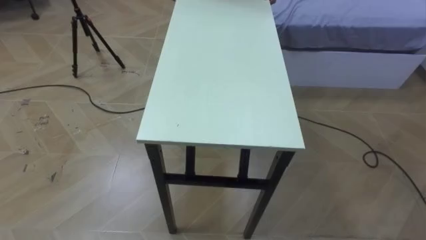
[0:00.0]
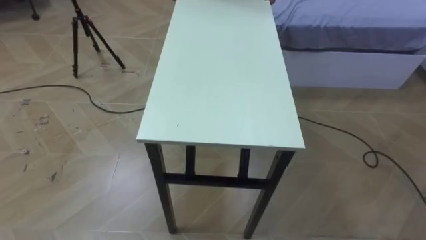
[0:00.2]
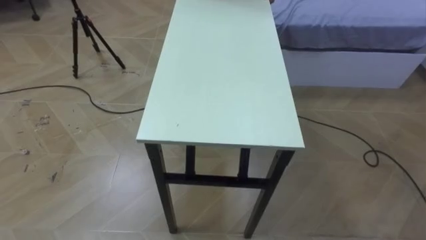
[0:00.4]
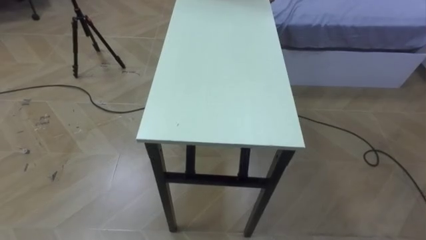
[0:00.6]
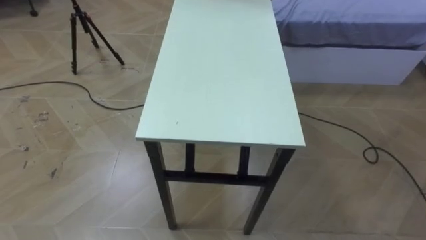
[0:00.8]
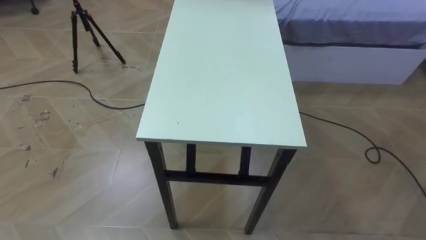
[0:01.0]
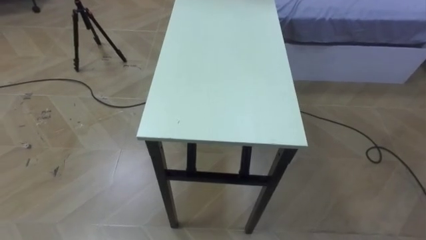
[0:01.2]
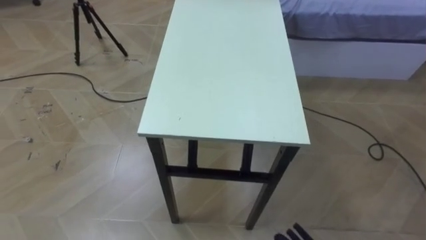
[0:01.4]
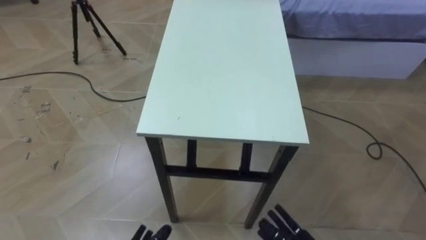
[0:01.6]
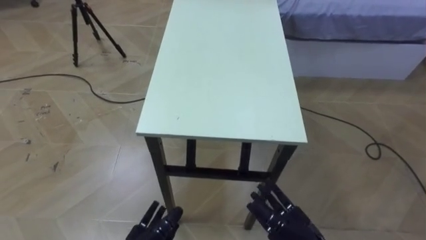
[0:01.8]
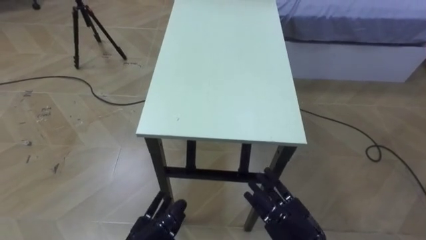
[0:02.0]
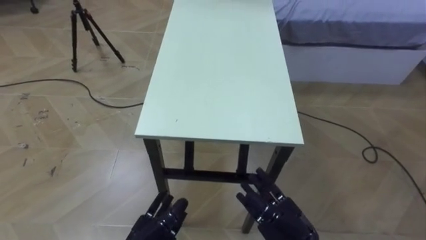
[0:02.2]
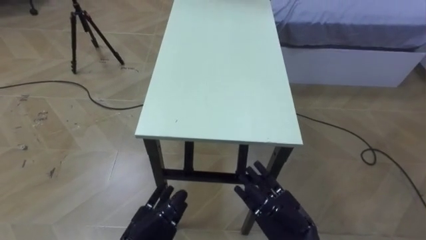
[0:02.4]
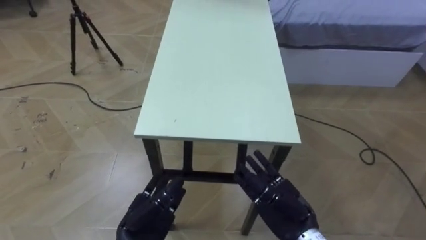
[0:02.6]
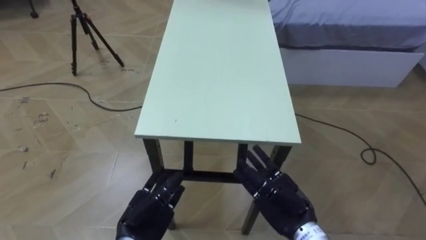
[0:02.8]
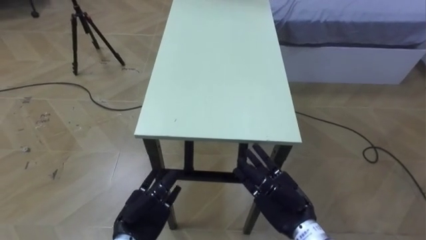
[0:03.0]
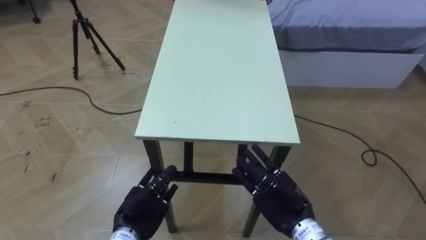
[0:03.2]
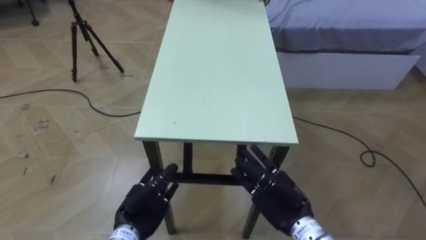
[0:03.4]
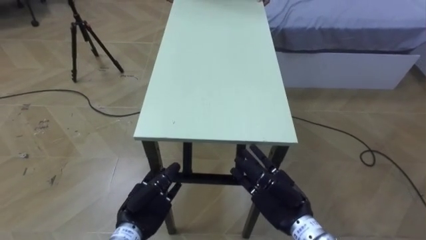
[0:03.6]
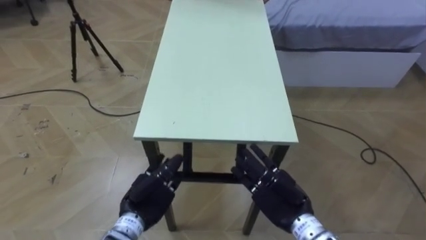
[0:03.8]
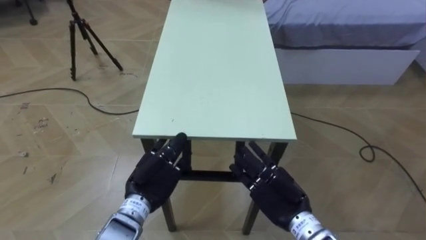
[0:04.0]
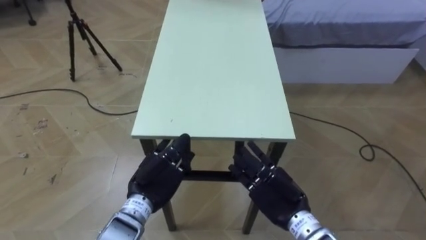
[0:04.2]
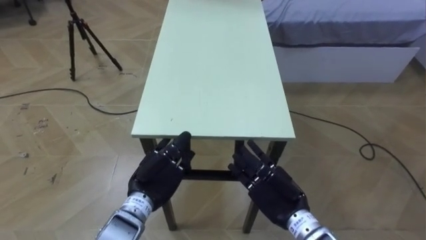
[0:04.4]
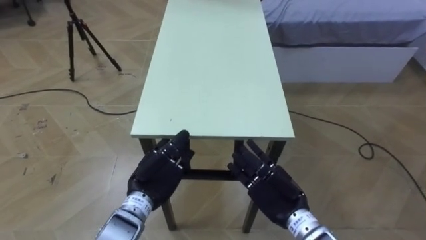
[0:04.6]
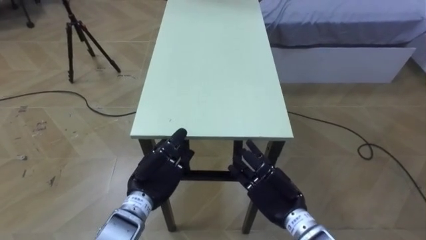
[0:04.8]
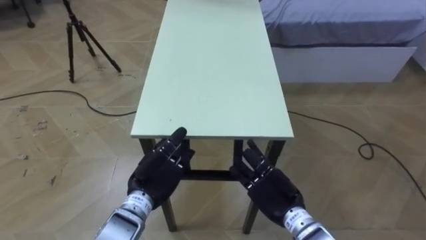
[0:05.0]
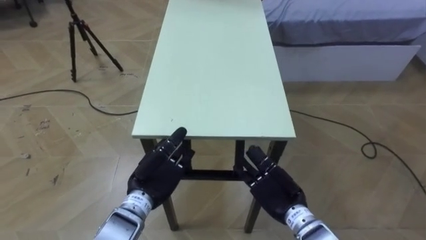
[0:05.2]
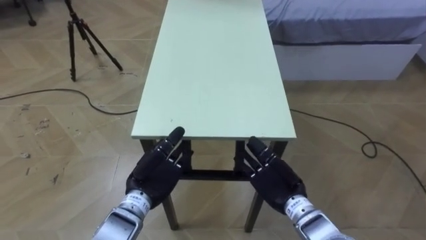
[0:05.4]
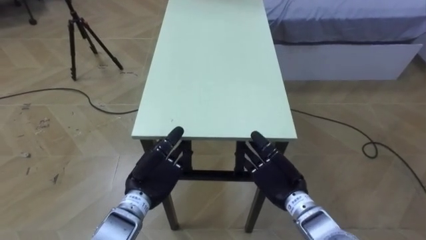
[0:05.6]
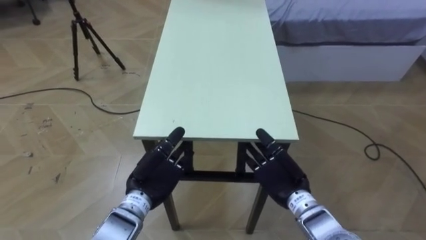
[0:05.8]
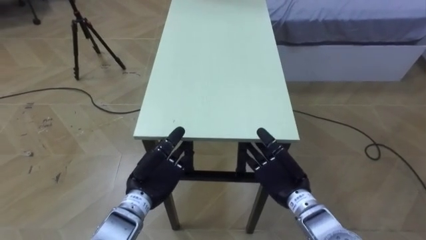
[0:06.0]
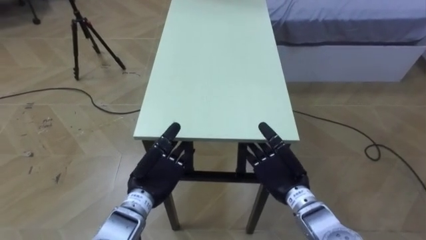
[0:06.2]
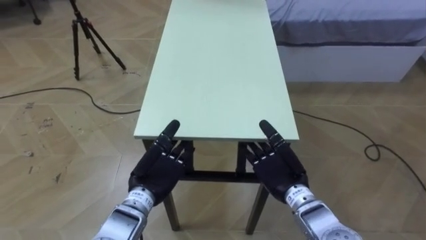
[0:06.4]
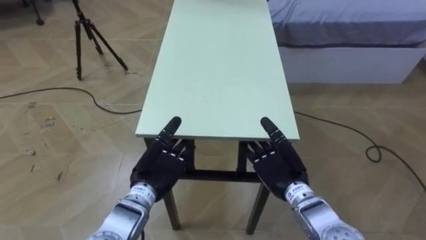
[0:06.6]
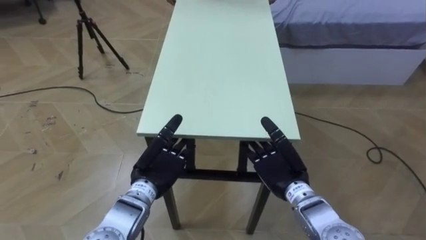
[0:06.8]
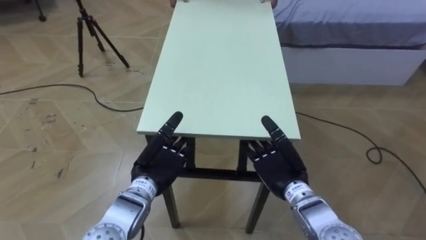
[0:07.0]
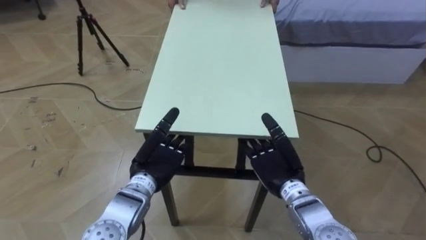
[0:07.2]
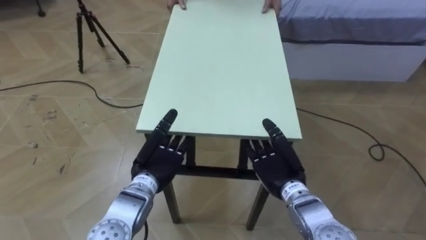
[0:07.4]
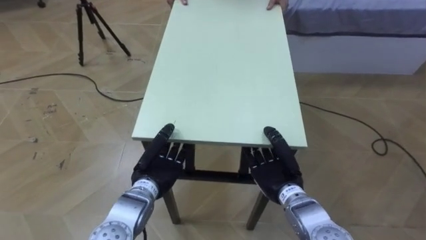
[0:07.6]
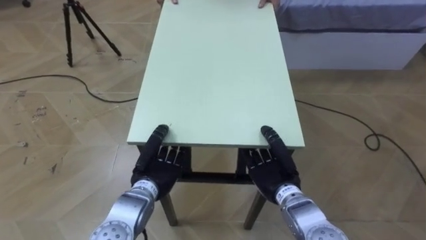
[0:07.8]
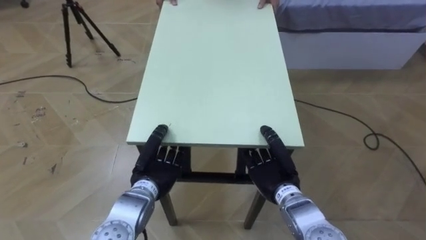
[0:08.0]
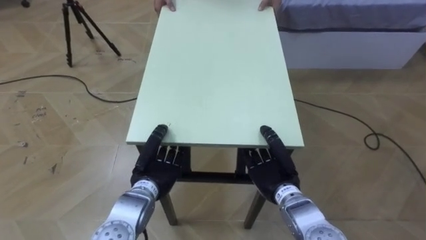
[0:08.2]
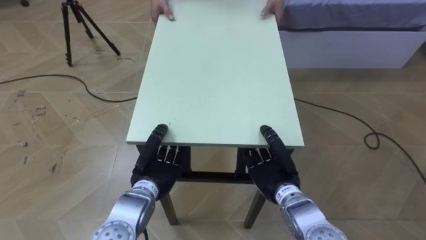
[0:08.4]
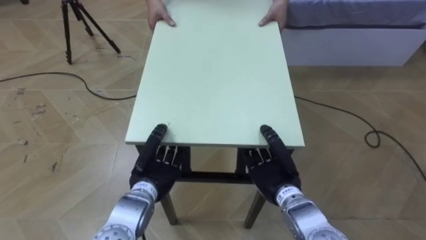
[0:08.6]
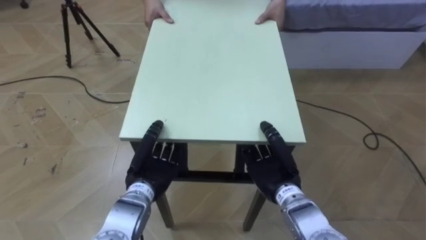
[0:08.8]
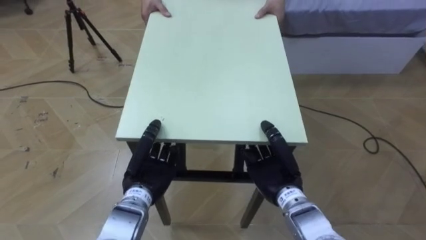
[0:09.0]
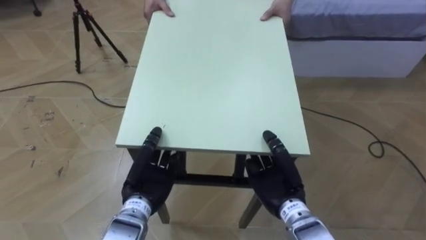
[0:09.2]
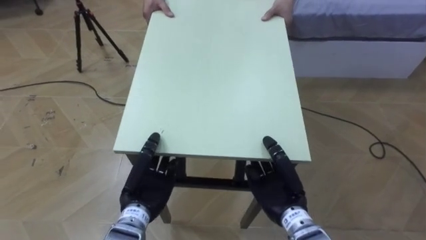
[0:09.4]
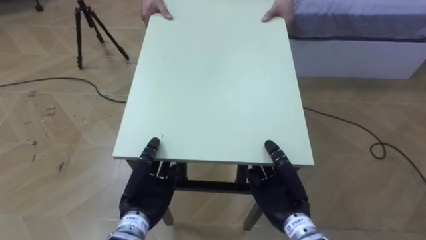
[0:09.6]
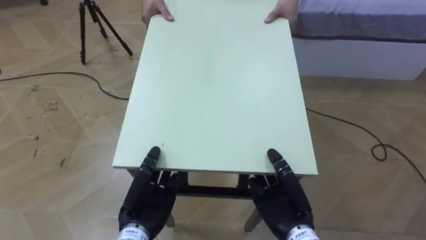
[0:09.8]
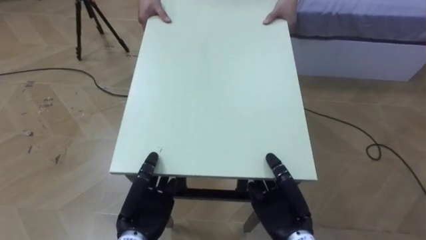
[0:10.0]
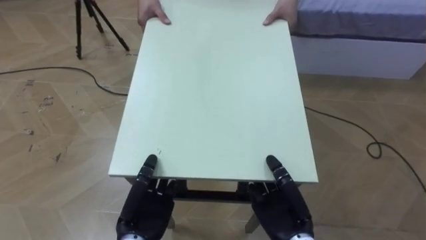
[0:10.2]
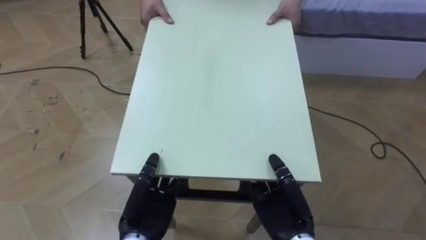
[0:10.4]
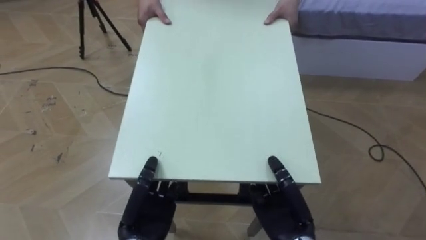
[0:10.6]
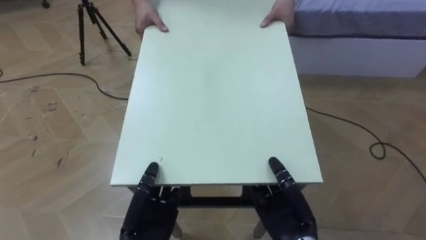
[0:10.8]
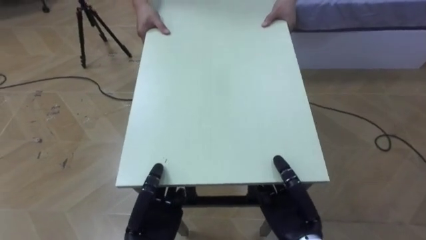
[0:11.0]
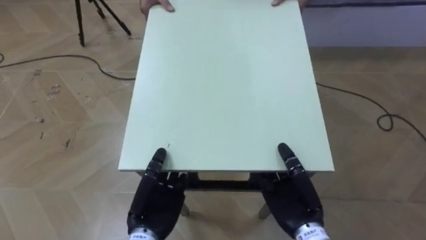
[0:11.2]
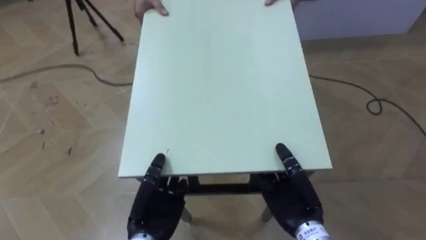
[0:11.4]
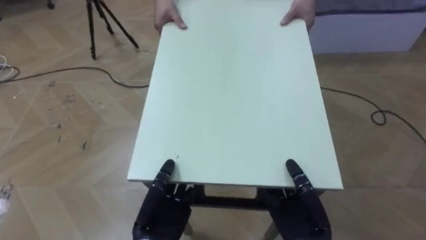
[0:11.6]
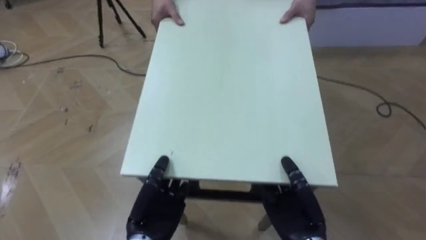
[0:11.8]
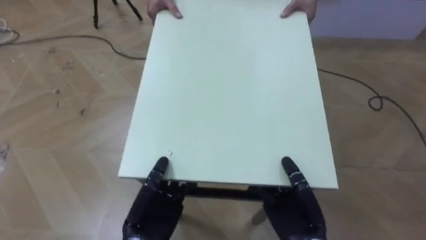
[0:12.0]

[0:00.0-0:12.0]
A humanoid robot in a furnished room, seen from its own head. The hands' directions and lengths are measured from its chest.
Task of the whole recording: Move the table to the back left with someone.
0:03.0 to 0:04.4: The left hand moves forward, approximately 5 cm.
0:04.4 to 0:06.0: There are only small adjustments of the hands.
0:06.0 to 0:07.6: The right hand closes its fingers. The left hand closes.
0:07.6 to 0:09.0: The hands stay close to where they were, moving slightly.
0:09.0 to 0:10.4: Both hands travel together backward, approximately 5 cm.

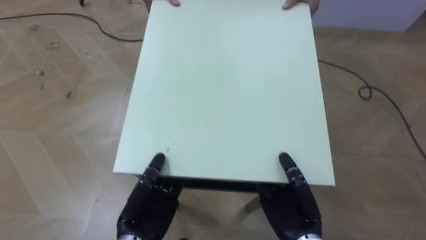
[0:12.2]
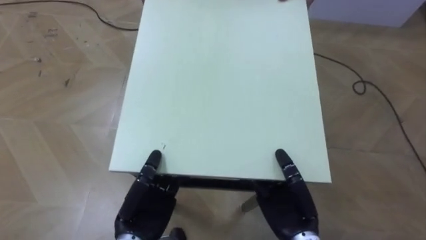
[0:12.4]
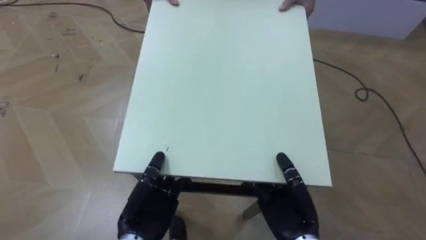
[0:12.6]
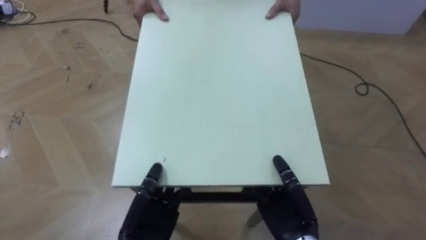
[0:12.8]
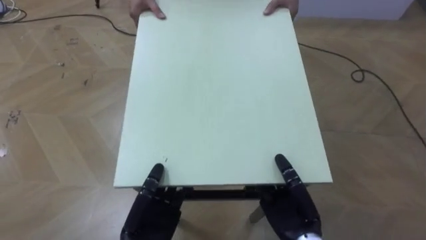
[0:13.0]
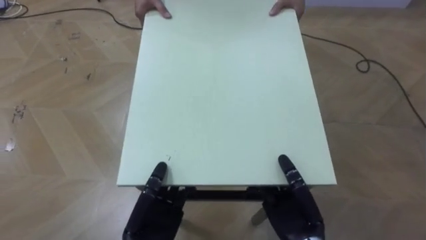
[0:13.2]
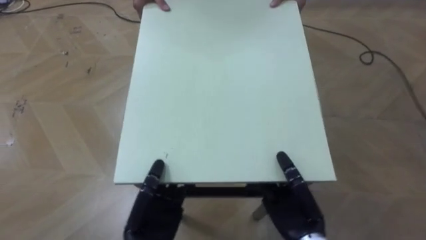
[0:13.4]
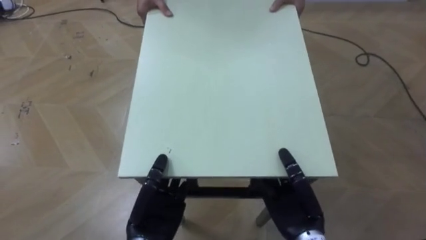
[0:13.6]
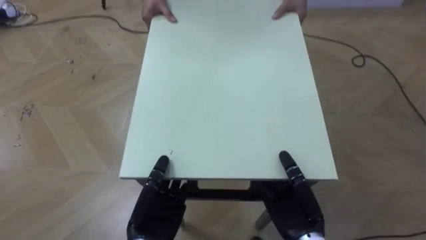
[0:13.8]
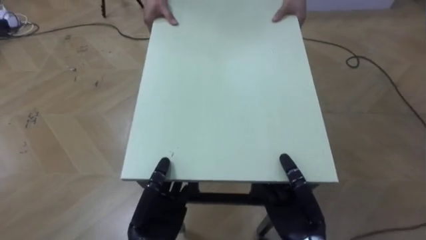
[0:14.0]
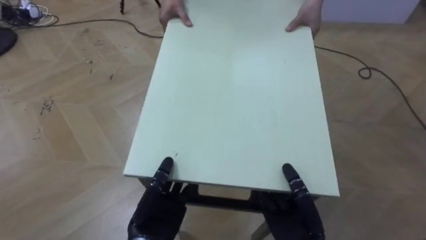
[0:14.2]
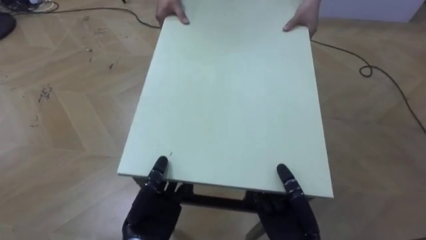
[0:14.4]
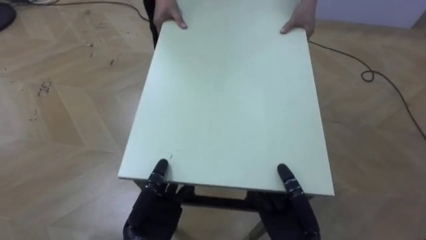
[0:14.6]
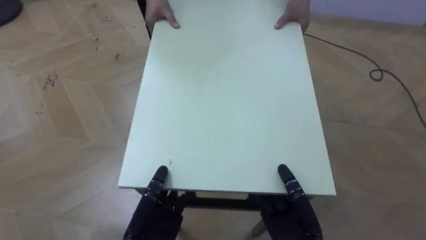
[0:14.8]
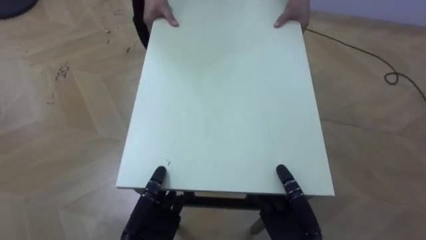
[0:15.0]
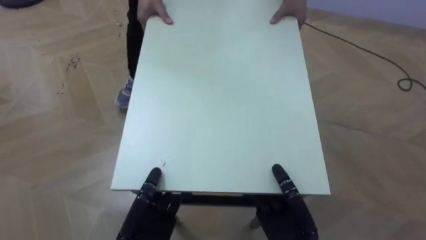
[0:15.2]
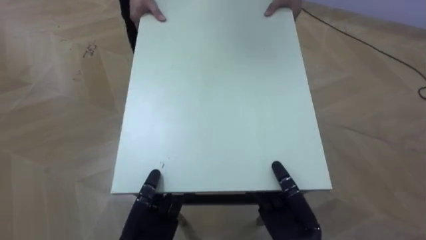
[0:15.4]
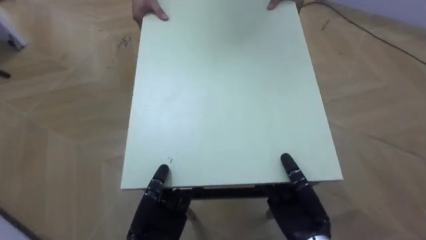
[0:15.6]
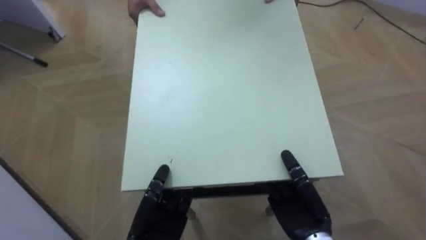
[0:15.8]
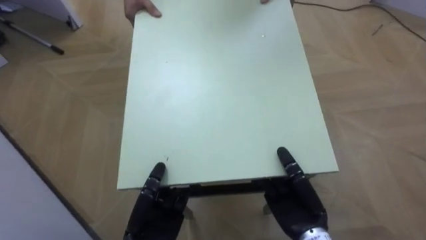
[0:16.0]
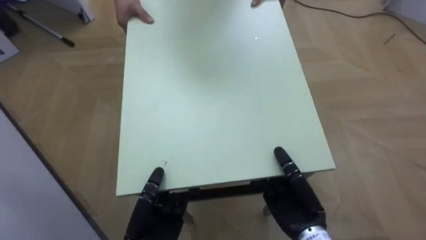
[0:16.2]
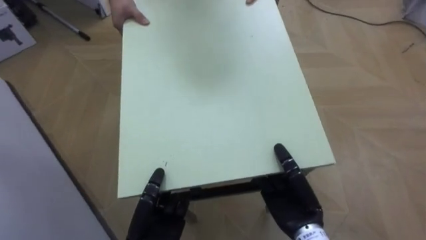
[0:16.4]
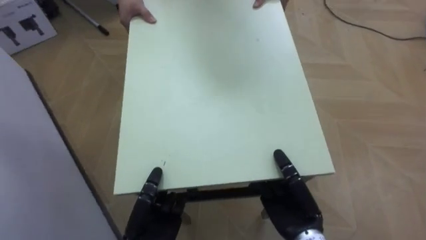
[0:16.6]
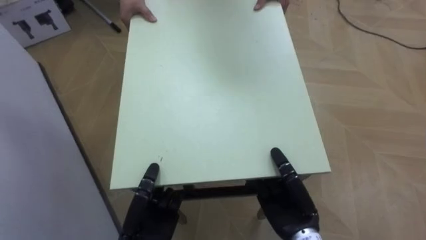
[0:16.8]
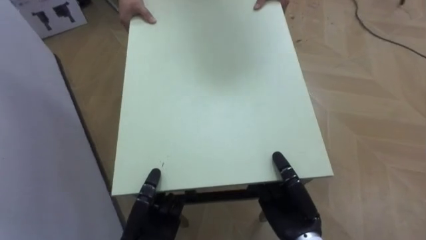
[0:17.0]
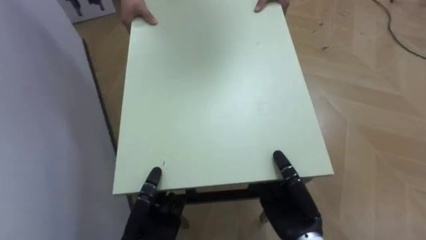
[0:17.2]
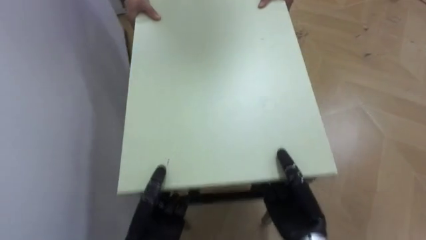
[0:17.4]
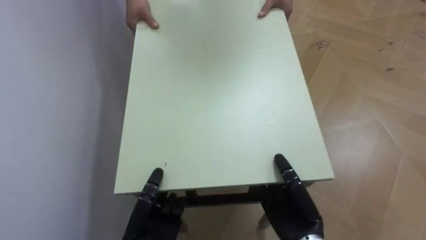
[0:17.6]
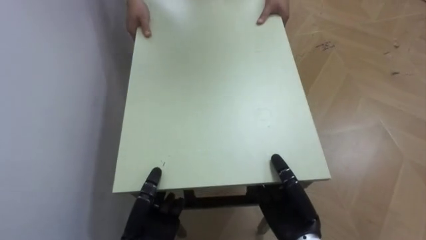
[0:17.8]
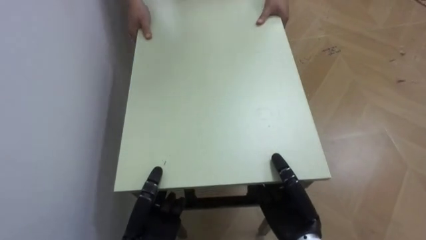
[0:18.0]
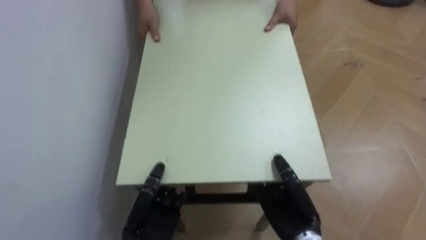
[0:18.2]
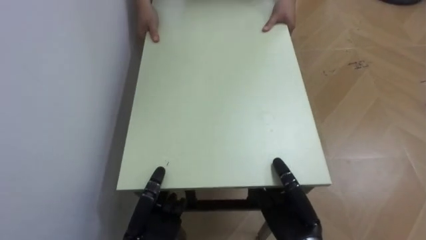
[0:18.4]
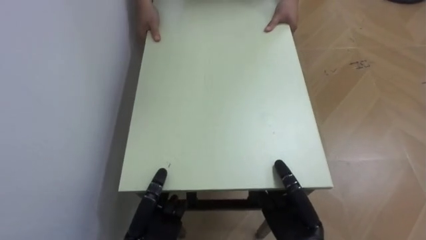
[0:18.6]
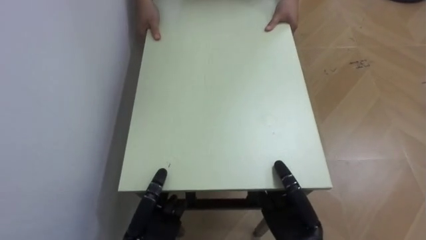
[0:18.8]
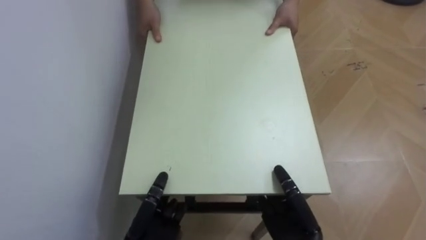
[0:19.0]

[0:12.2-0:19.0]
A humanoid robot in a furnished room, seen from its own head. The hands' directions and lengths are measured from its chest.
Task of the whole recording: Move the table to the back left with someone.
0:15.0 to 0:16.2: The robot faces about 30 degrees further to its left.
0:16.2 to 0:17.6: The robot turns to its left by about 40 degrees.
